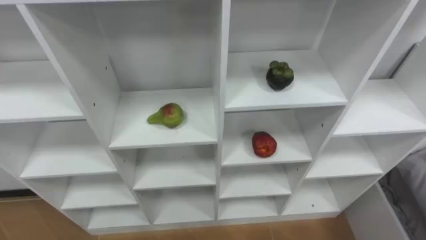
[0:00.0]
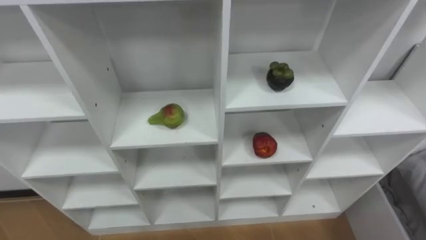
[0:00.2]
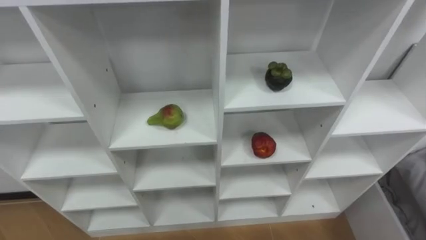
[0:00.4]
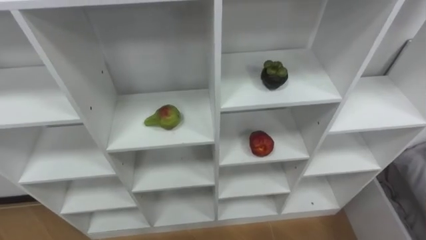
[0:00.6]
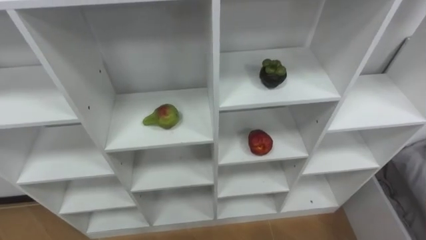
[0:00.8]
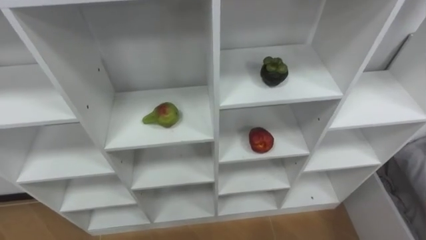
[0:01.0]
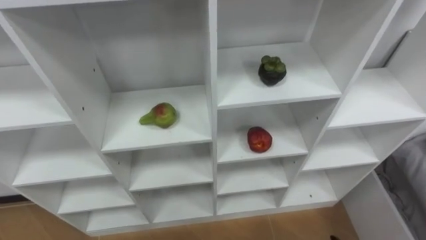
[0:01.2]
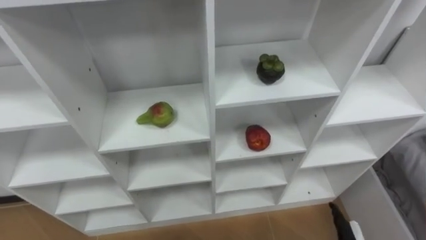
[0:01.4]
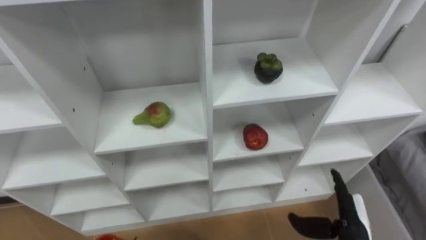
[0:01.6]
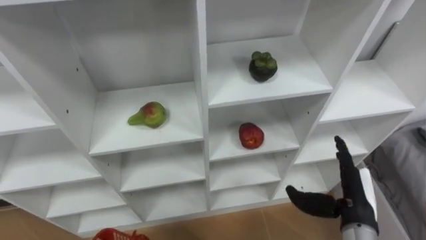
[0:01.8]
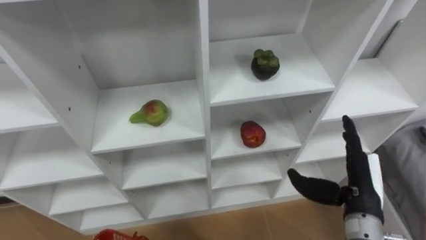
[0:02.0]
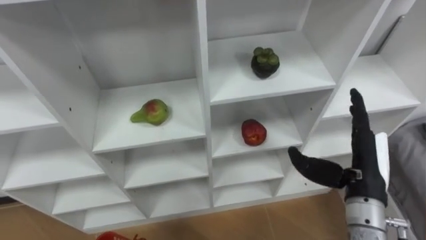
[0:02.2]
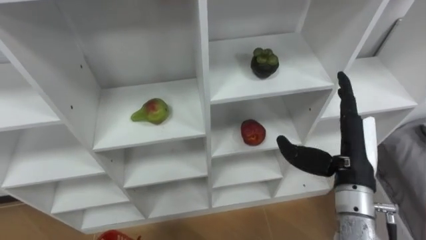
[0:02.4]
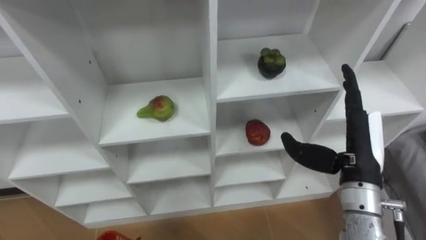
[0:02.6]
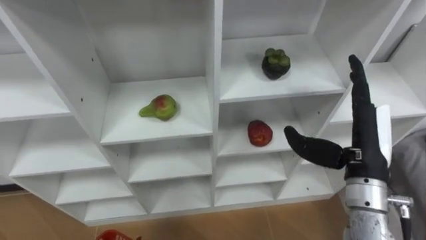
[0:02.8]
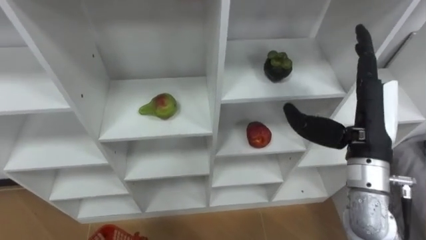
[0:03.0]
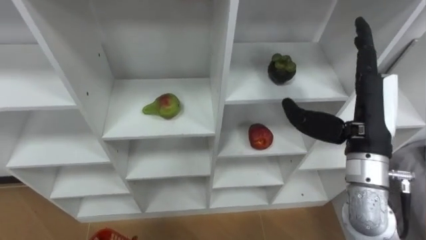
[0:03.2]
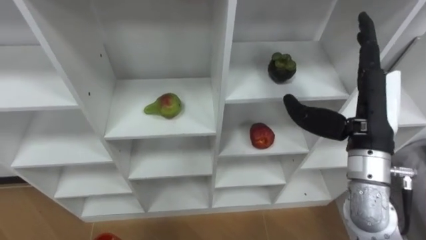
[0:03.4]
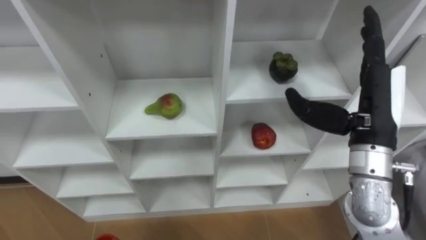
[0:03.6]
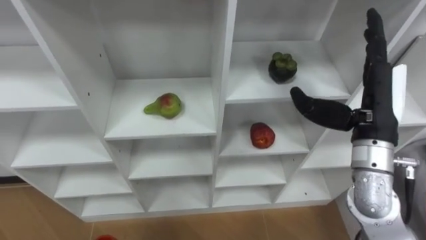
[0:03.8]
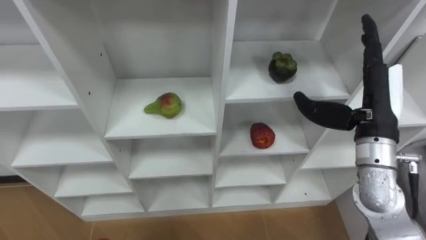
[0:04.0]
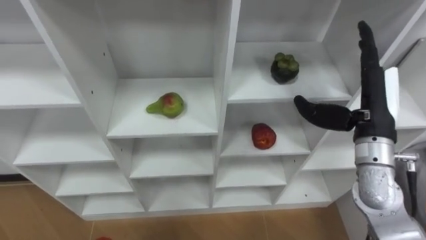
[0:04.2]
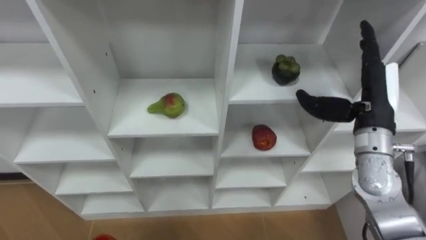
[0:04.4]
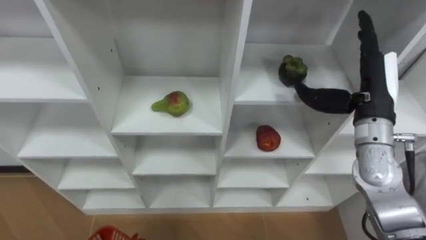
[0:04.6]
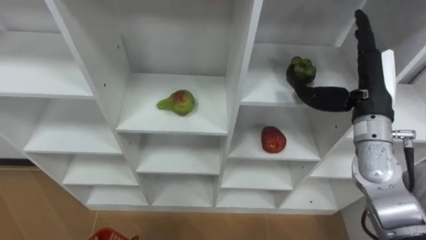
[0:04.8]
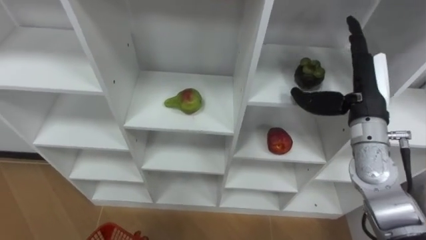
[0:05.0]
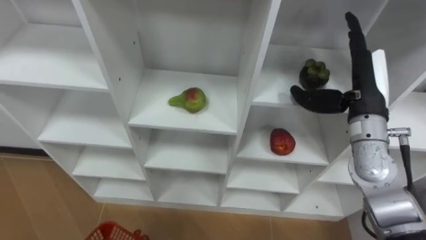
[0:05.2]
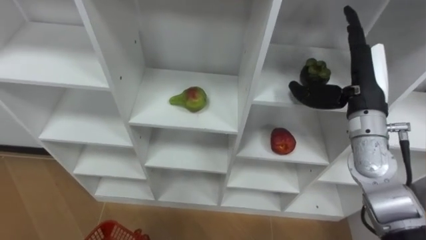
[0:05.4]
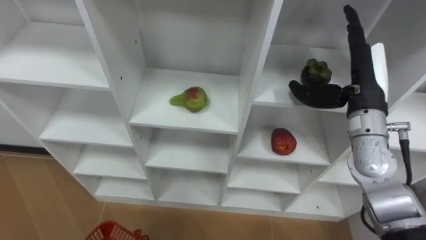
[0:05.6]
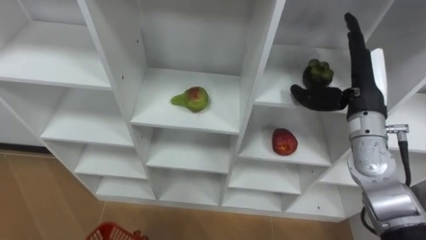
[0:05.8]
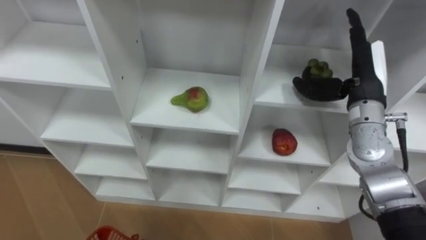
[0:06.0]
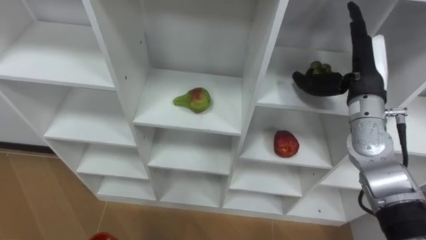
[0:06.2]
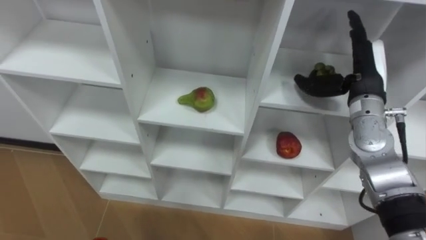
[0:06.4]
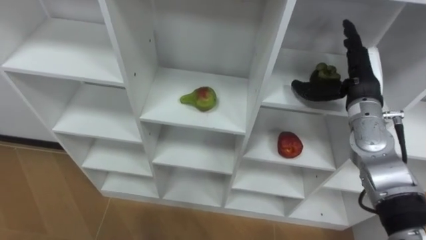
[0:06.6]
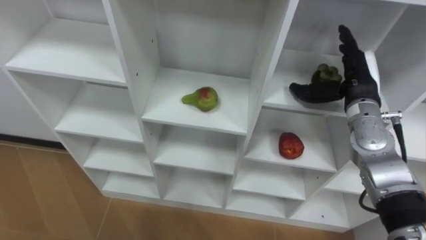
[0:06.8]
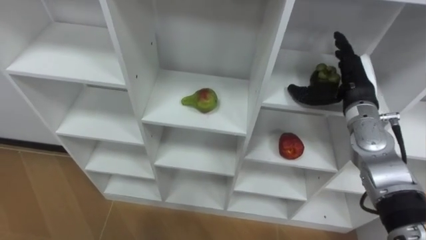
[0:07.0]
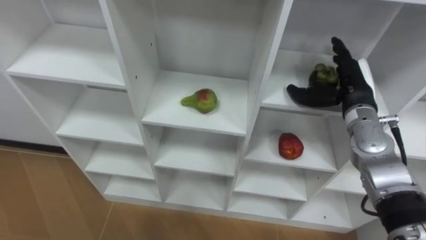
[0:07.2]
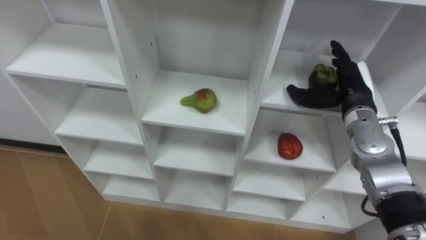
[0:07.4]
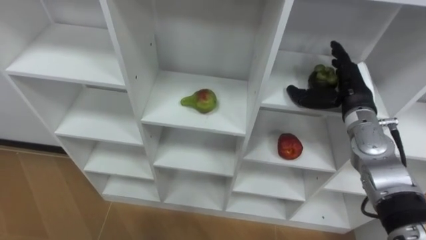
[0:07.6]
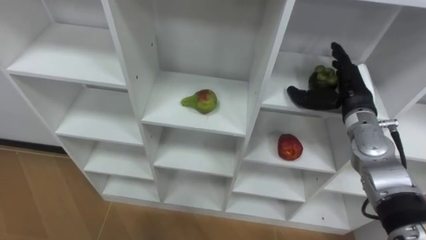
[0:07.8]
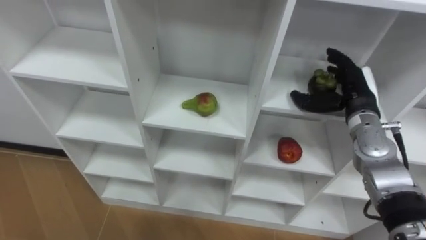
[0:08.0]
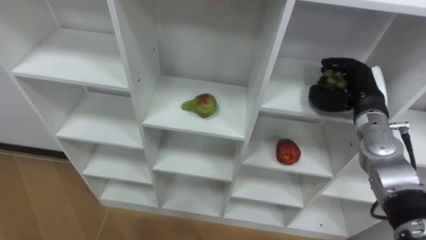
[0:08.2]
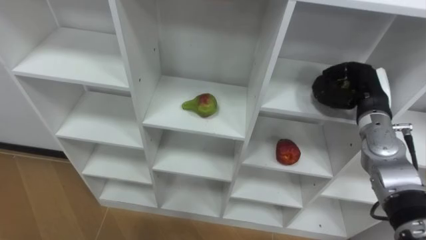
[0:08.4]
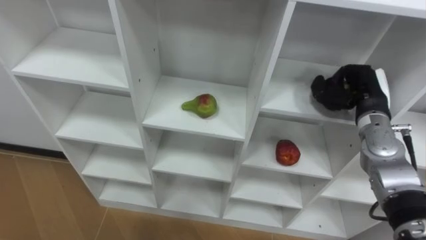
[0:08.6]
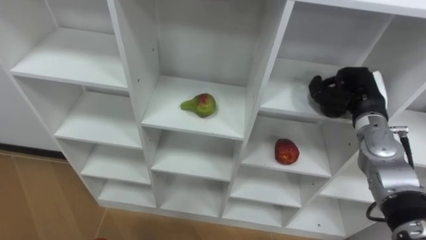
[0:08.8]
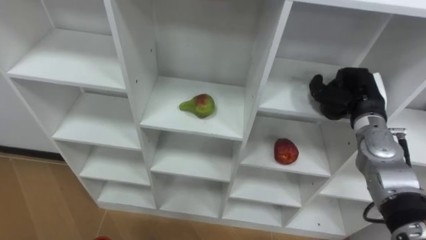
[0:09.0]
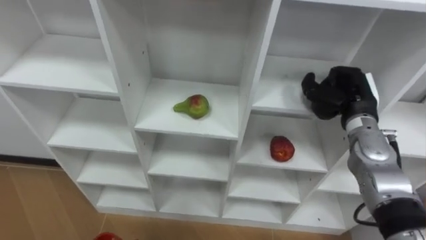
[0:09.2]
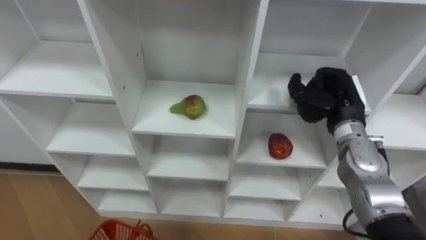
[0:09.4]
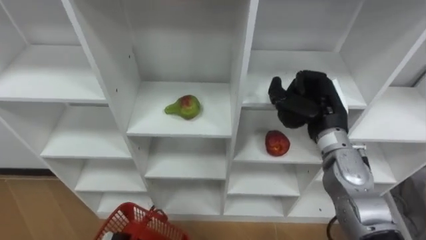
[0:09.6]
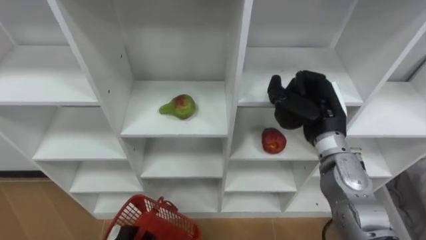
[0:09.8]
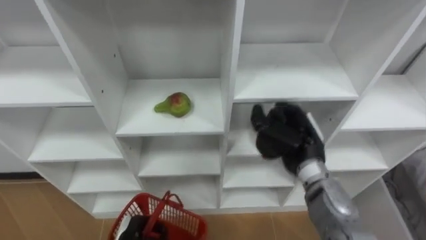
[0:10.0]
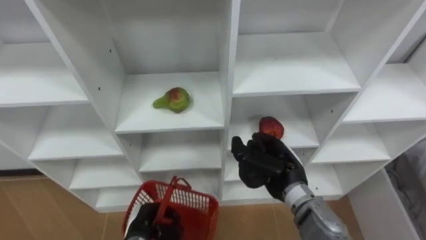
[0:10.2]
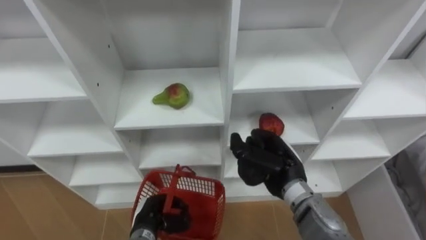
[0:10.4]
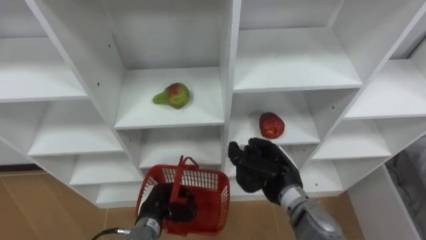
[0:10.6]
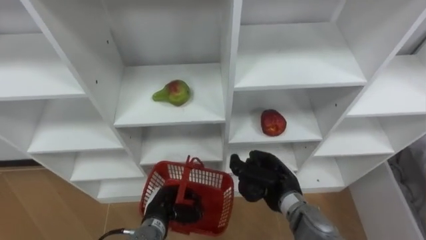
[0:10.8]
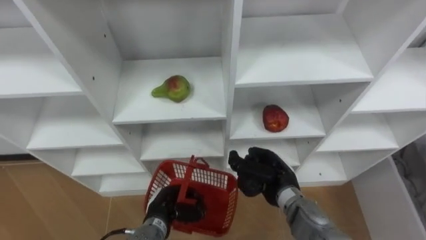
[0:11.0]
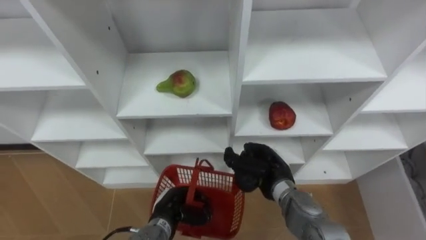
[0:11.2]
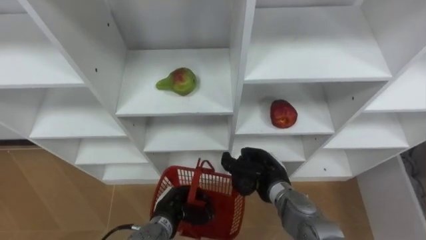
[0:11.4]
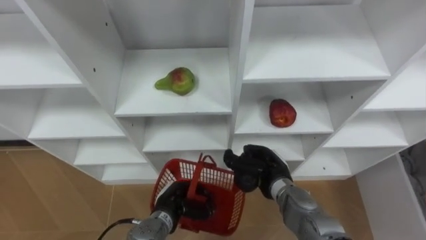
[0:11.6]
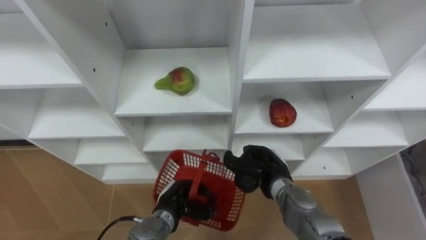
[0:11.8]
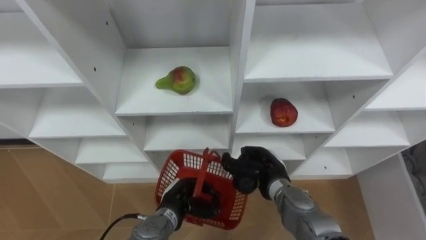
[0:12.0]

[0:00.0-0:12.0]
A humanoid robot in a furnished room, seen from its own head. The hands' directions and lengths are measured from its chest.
Task of the whole recording: Hold the basket and collect the fruits from 3 different cells of the closet into it.
0:01.6 to 0:03.0: The right hand travels upward by approximately 25 cm.
0:03.0 to 0:04.4: The right hand heads forward, covering some 5 cm.
0:06.0 to 0:07.6: The right hand is displaced downward by roughly 5 cm.
0:07.6 to 0:09.0: The right hand closes its fingers.
0:09.0 to 0:10.4: The right hand travels to the left and backward by roughly 20 cm.
0:10.4 to 0:12.0: The right hand travels downward by approximately 5 cm. The left hand goes approximately 5 cm to the right.

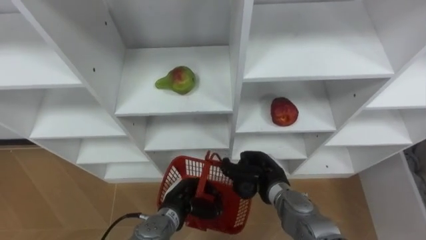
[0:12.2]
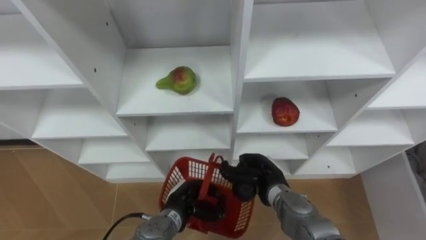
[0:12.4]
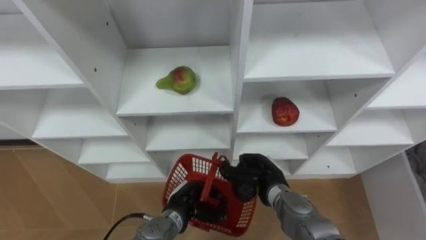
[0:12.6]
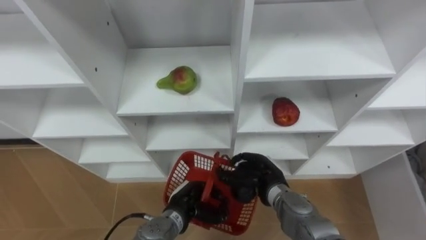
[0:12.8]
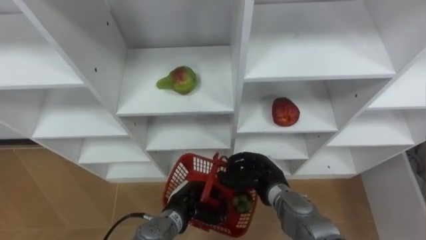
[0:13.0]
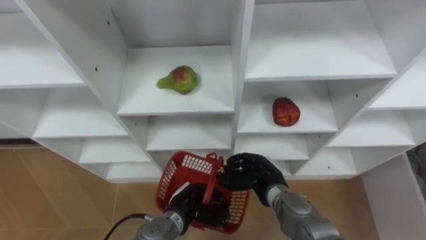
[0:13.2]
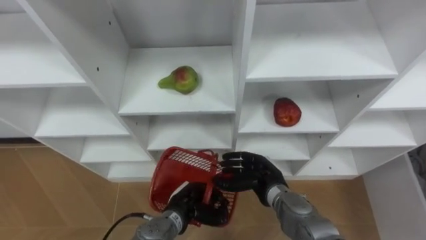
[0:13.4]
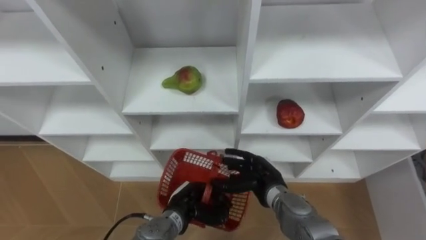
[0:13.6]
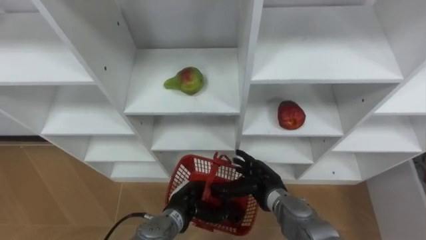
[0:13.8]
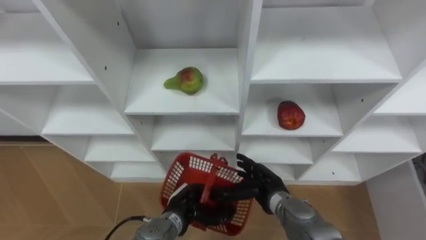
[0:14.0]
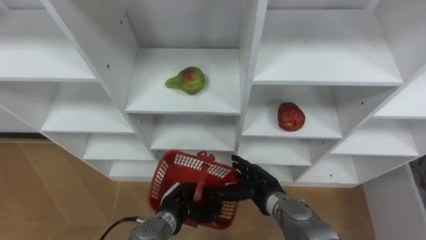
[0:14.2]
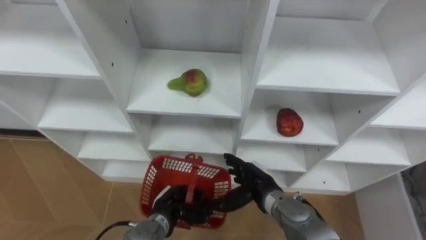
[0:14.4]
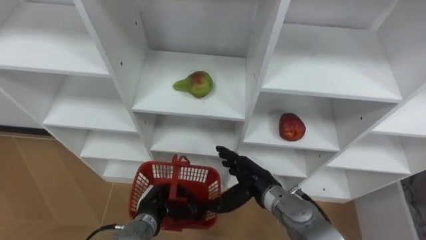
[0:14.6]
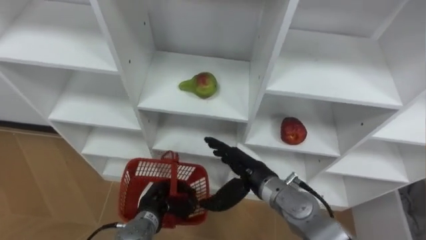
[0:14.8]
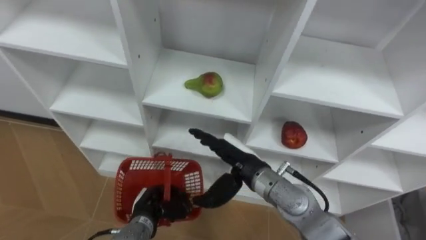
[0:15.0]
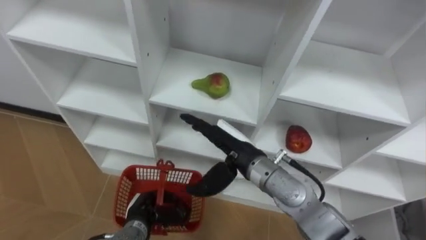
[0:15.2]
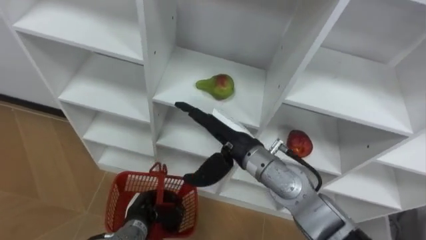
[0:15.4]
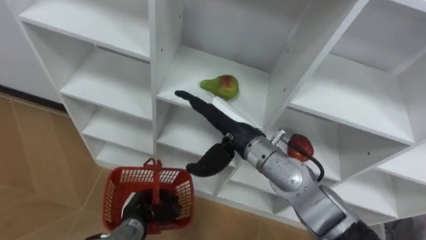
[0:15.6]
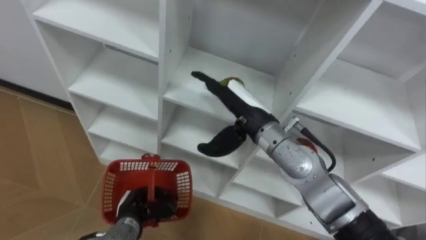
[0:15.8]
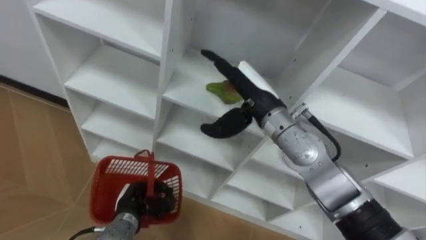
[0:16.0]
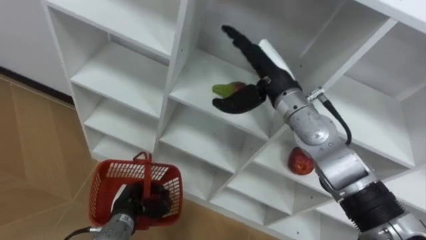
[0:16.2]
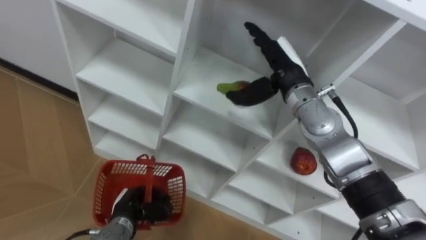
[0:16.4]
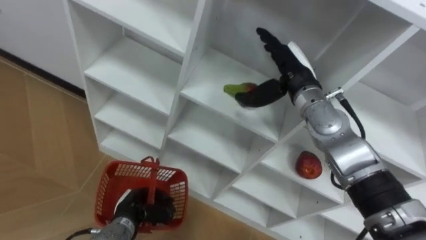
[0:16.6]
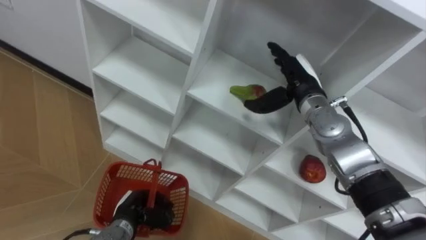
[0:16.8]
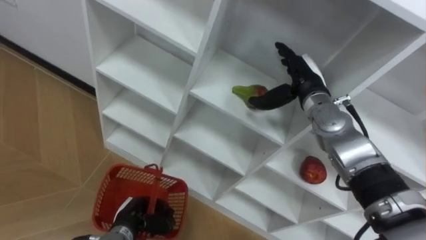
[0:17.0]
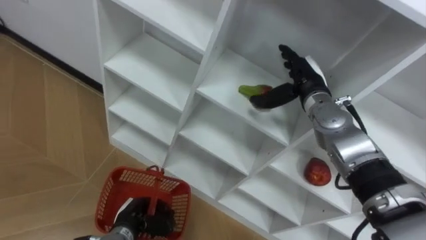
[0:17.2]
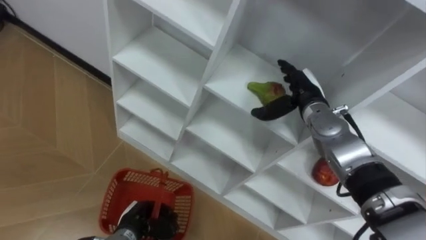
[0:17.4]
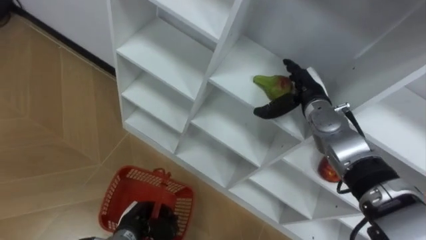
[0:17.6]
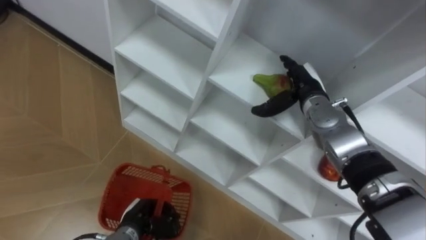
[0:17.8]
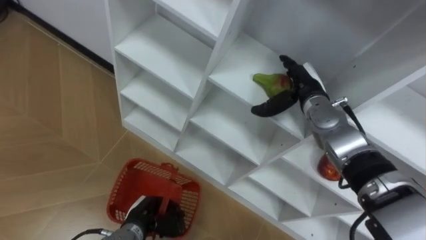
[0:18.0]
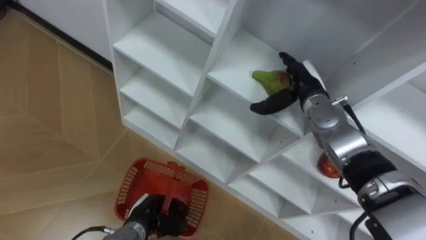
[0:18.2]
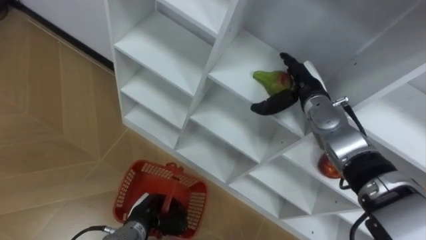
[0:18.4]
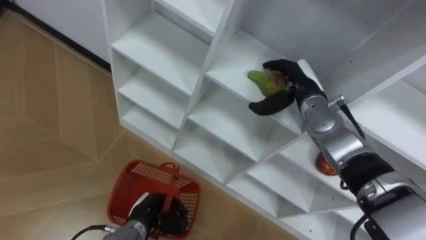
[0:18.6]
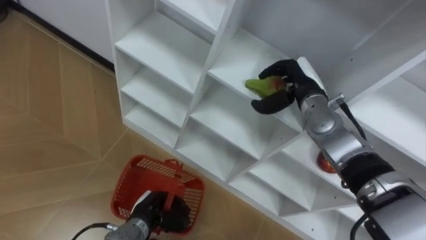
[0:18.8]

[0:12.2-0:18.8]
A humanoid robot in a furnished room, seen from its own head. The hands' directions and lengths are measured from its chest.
Task of the whole recording: Hold the basket and collect the fruits from 3 different cells of the closet into it.
0:12.2 to 0:13.8: The right hand opens.
0:13.8 to 0:15.4: The right hand travels upward and to the left by roughly 15 cm. The left hand moves to the left, some 10 cm.
0:15.4 to 0:17.2: The right hand heads to the right and forward, covering some 20 cm.
